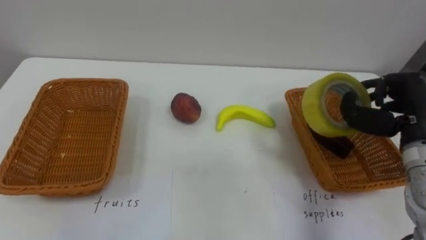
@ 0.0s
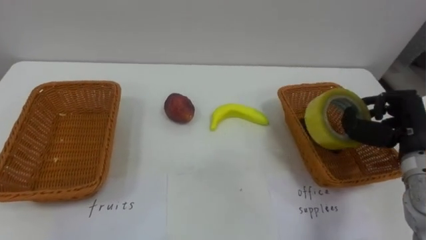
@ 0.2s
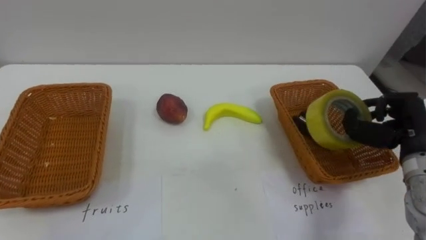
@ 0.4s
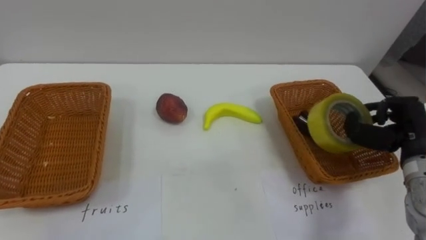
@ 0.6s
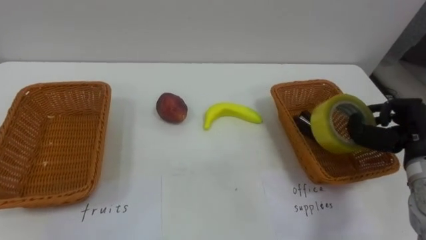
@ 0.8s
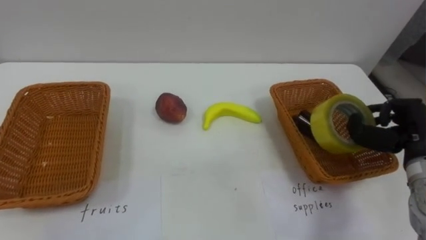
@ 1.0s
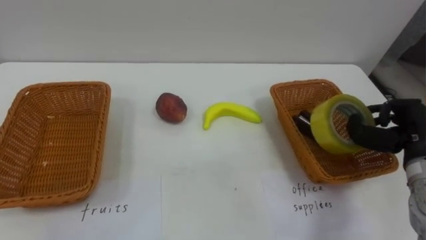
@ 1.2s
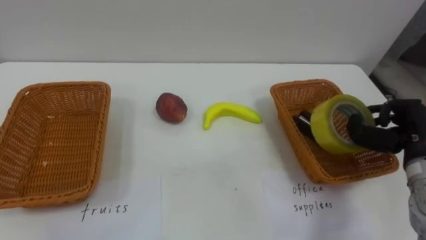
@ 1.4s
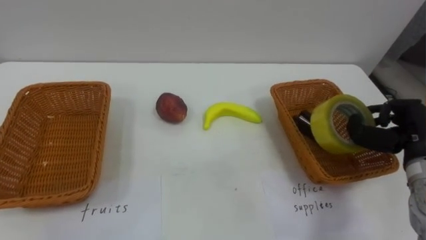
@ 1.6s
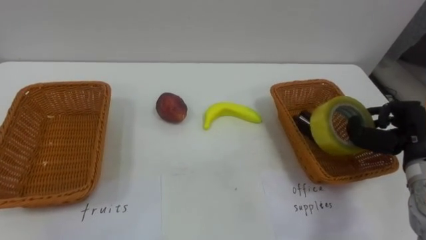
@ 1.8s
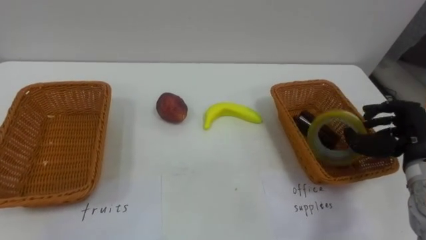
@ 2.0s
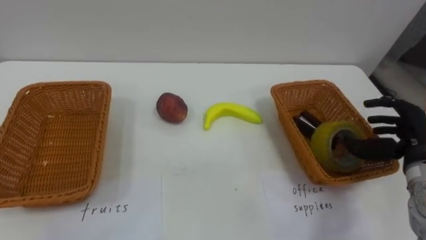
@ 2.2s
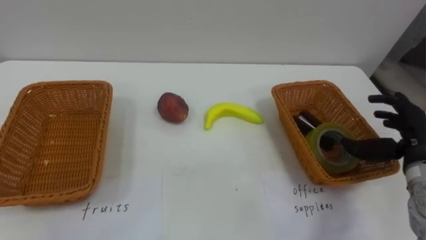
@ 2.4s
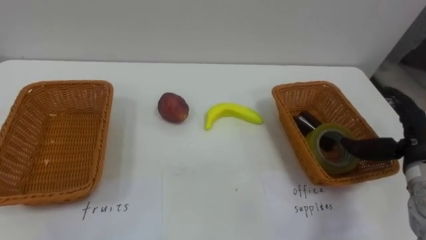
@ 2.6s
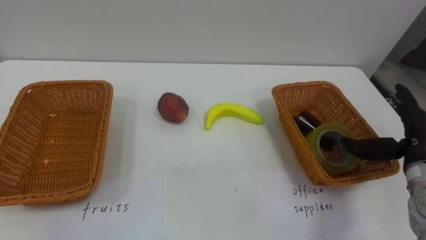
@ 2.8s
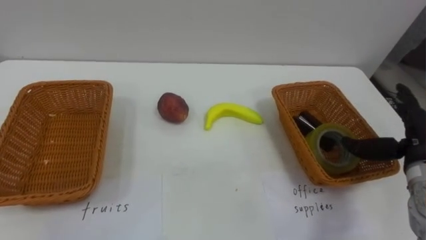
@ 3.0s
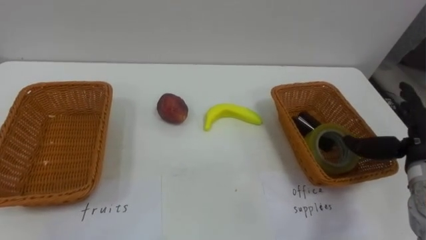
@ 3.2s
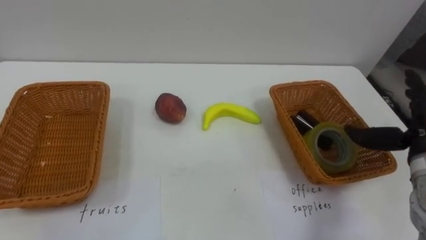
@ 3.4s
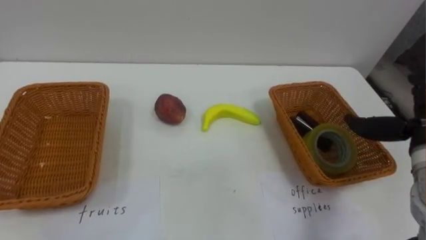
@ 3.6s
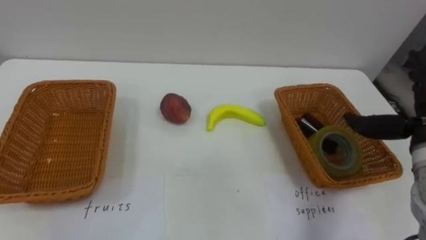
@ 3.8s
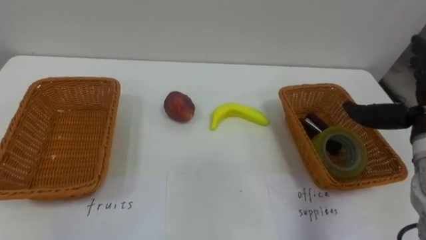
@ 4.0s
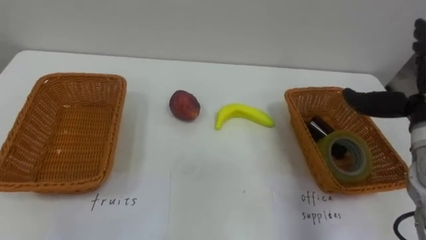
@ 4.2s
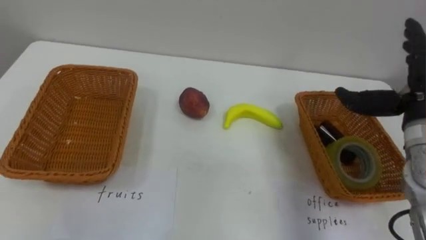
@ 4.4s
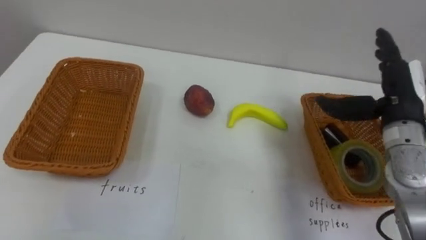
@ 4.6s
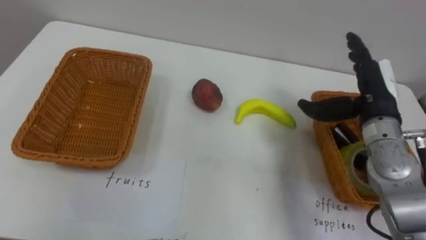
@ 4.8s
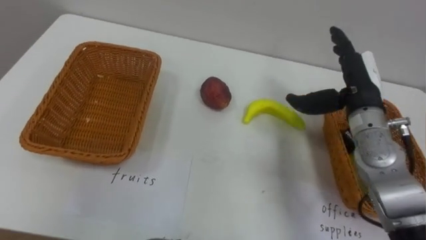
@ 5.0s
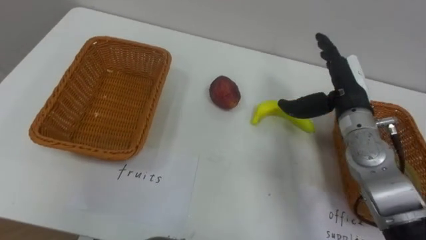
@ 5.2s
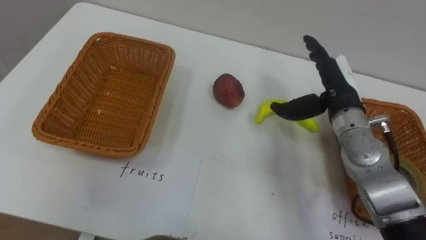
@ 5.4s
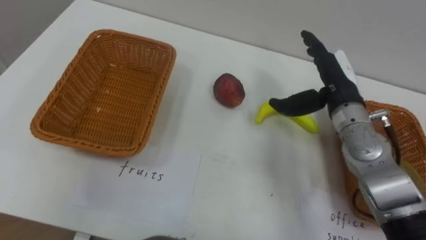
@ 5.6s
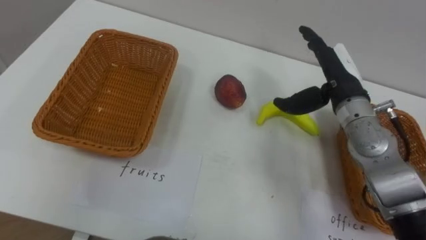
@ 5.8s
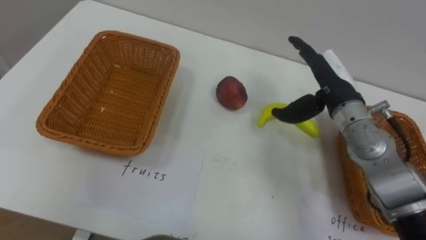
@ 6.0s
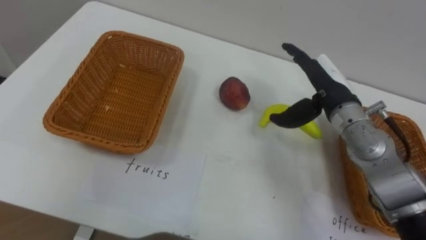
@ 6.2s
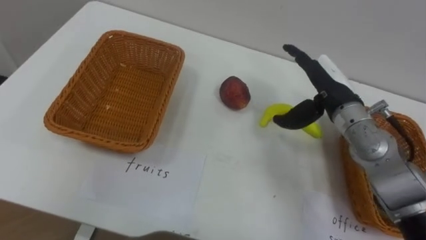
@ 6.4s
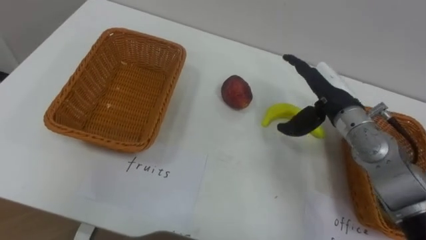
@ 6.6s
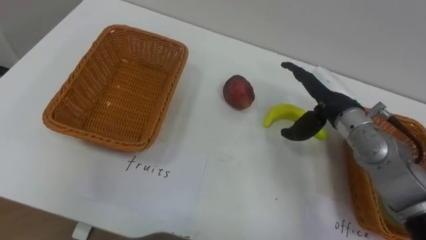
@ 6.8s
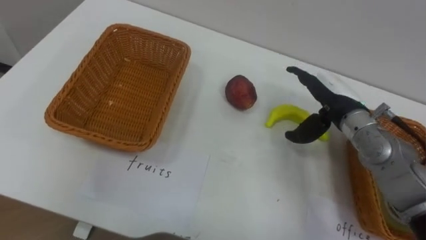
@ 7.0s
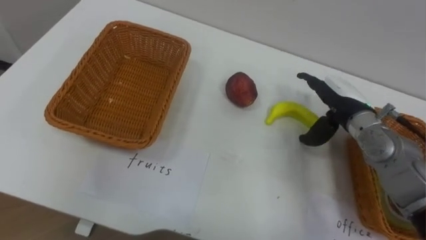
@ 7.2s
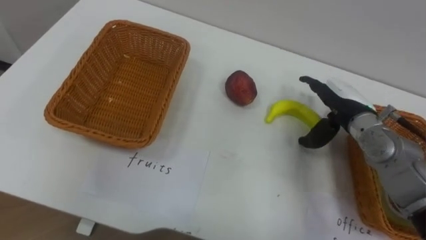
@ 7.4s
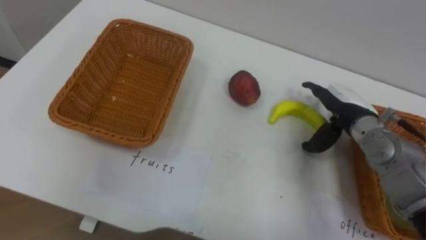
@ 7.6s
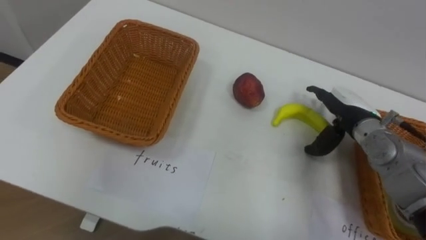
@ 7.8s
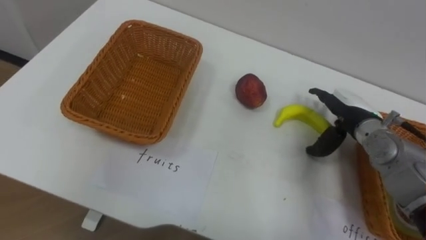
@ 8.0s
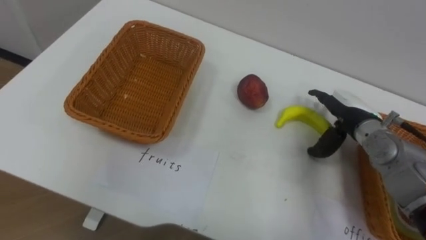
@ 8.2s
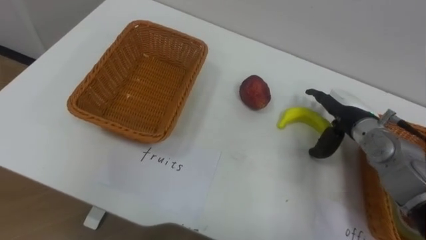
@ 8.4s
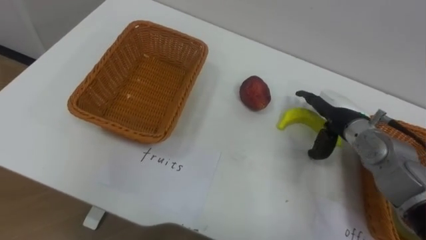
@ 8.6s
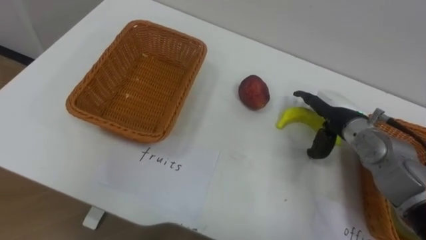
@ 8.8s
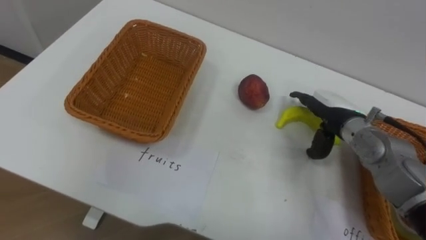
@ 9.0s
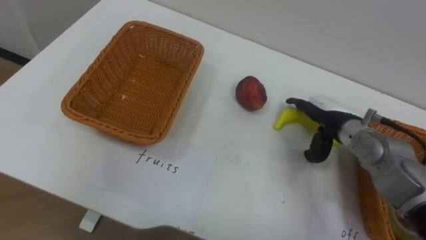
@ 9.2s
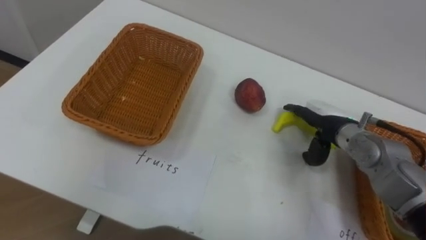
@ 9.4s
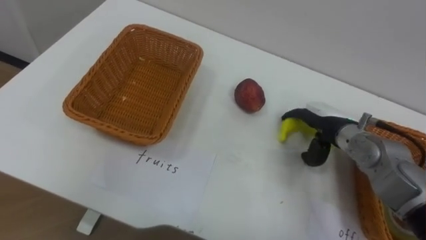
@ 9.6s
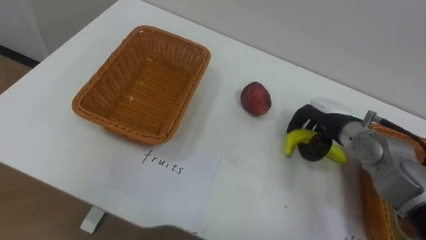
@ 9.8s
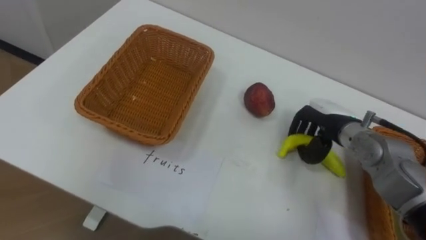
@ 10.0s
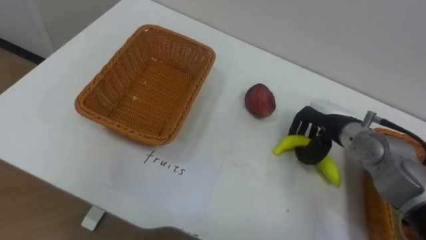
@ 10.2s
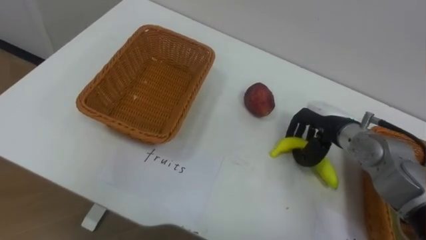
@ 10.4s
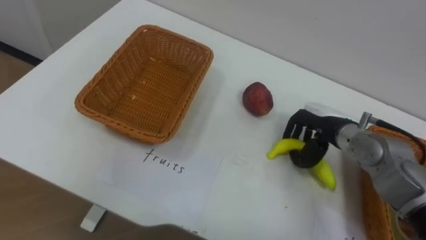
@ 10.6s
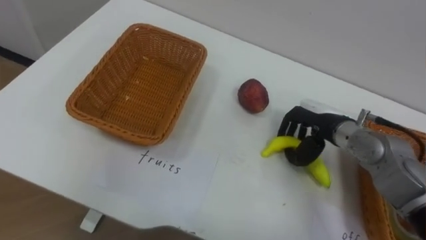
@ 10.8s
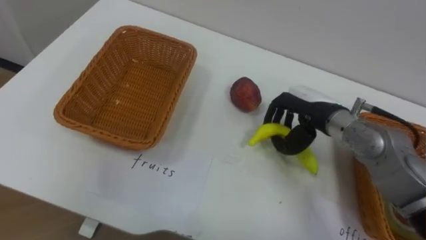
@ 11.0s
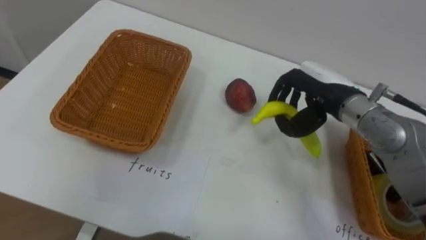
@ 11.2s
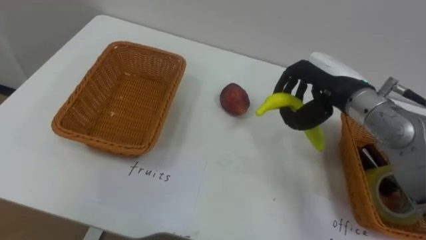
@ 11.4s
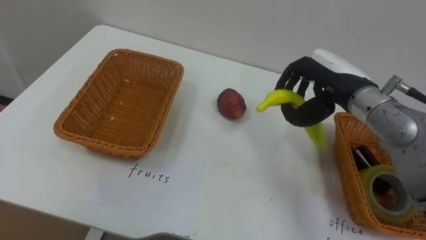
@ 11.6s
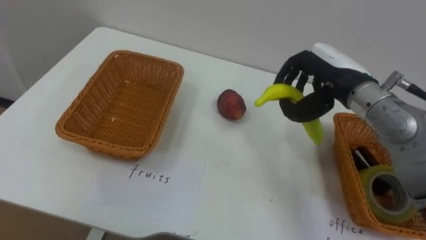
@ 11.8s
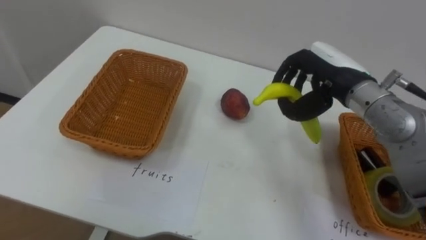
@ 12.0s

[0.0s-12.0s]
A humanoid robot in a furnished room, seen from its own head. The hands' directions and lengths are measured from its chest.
Task of the whole recording: Separate the items on the table and place them into the two baskets.
0.0s to 1.6s: The right hand shifts by roughly 5 cm.
1.6s to 3.0s: The right hand opens.
3.0s to 4.4s: The right hand moves upward, roughly 10 cm.
4.4s to 6.0s: The right hand shifts about 15 cm to the left and forward.
6.0s to 7.6s: The right hand goes some 5 cm downward.
9.0s to 10.4s: The right hand closes.
10.4s to 12.0s: The right hand shifts about 10 cm upward.

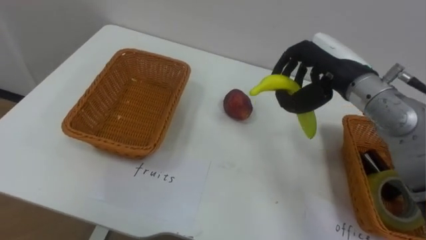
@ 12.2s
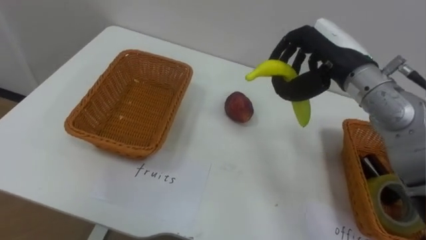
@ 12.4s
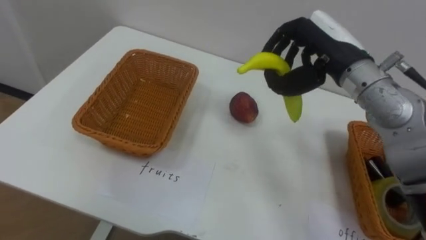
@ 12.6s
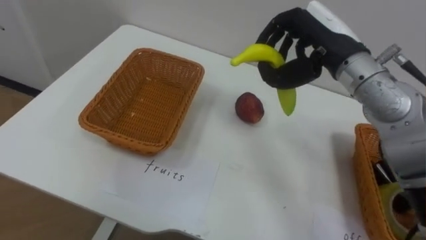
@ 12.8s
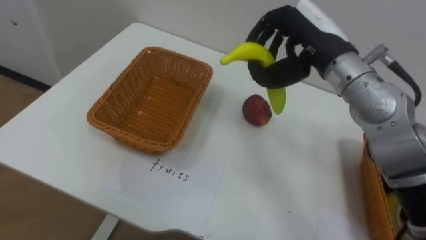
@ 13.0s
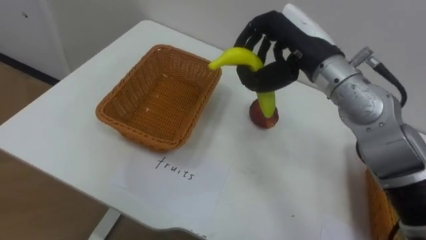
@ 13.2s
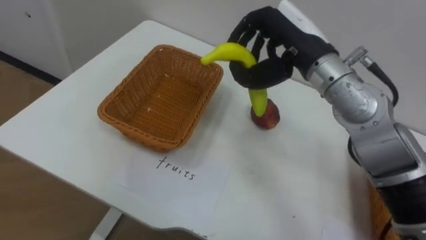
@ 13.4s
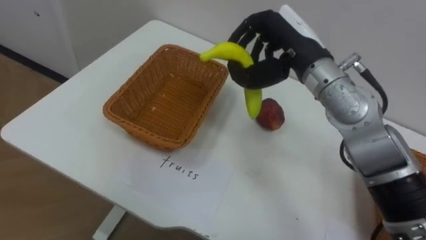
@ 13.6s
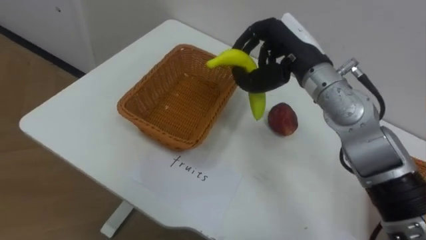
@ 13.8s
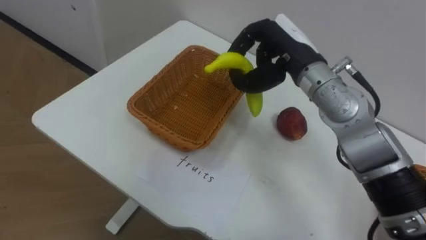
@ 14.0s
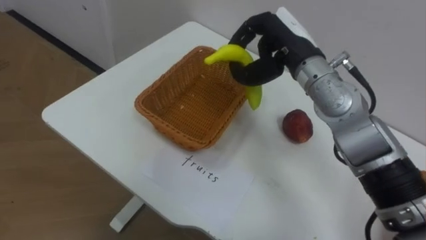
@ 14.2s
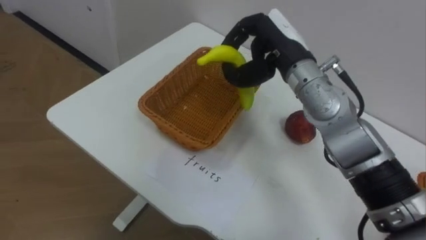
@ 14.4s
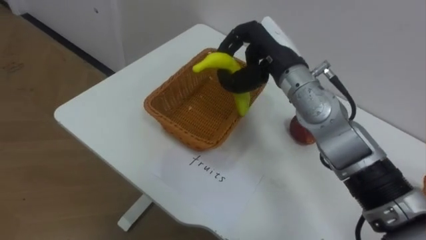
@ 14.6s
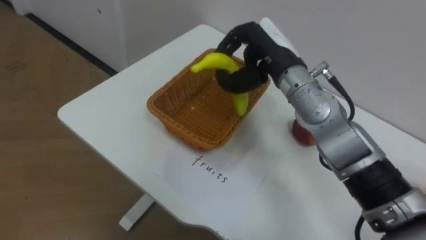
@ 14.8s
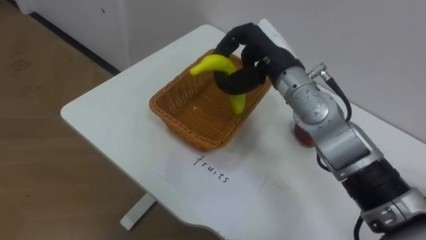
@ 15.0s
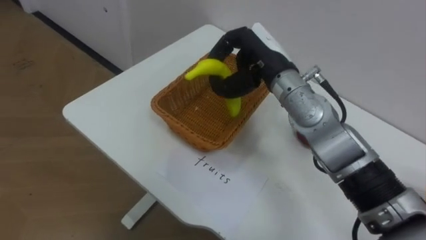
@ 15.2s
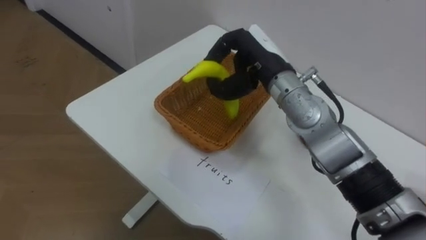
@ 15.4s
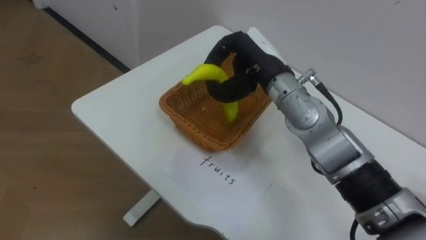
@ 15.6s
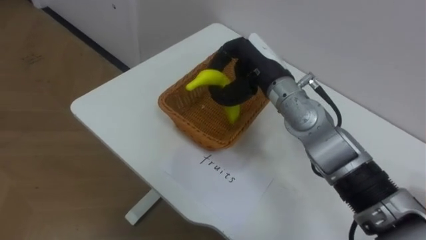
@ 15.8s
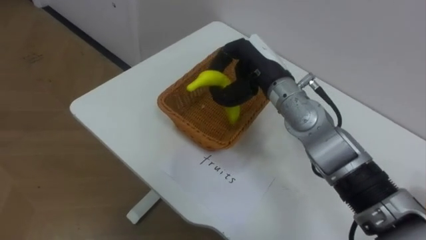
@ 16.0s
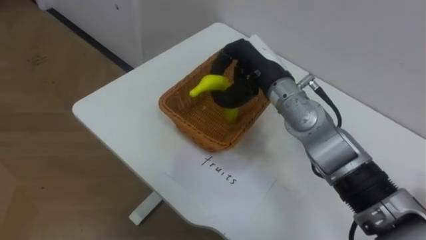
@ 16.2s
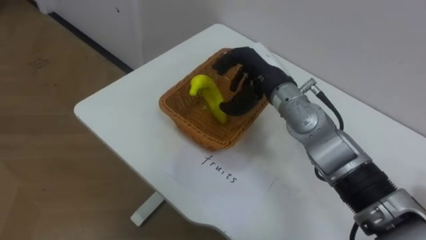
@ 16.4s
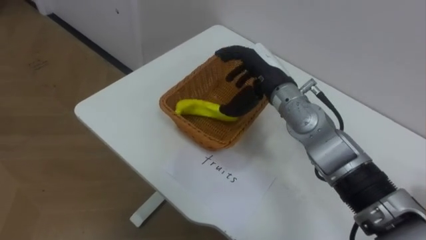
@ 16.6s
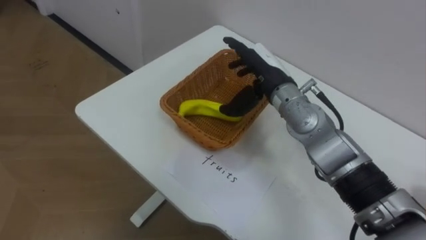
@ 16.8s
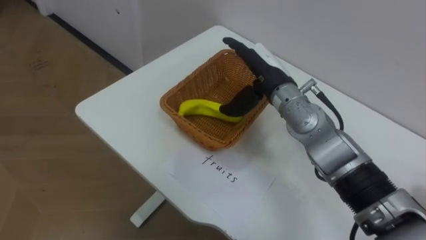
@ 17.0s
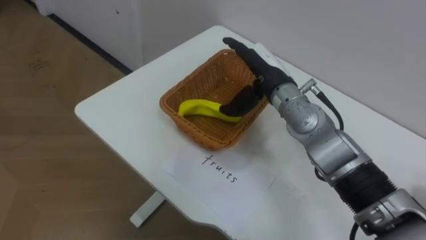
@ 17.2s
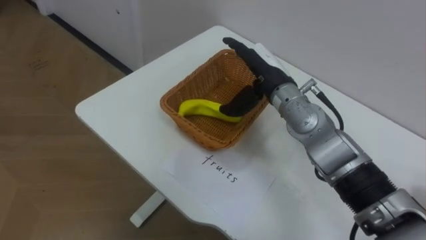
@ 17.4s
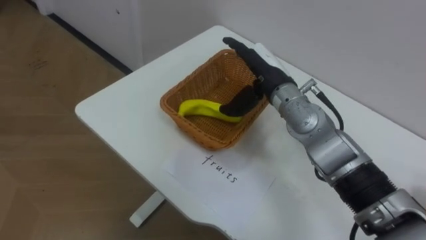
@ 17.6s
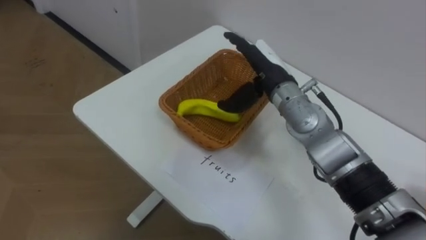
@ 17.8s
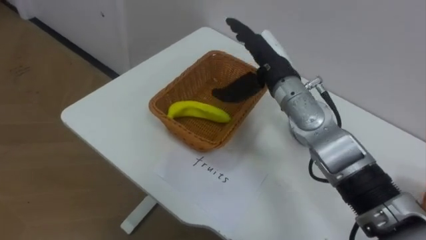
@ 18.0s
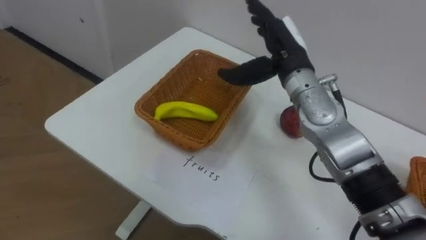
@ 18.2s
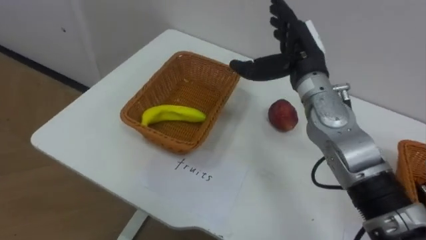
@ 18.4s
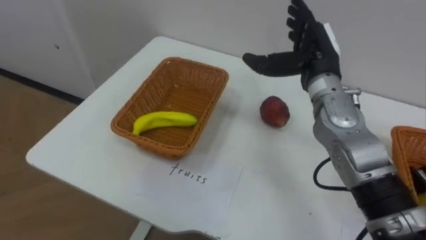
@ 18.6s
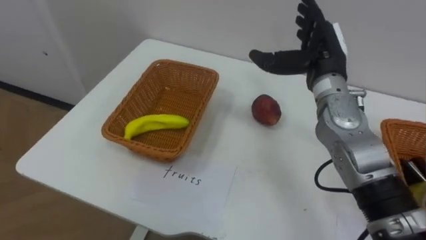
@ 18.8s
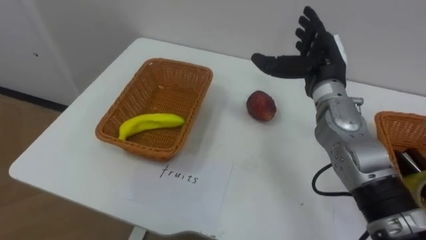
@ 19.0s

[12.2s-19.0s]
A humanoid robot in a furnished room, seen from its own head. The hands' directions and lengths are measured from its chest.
Task of the whole recording: Separate the items on the table and place them into the two baskets.
12.2s to 13.6s: The right hand travels to the left by approximately 5 cm.
16.2s to 17.6s: The right hand opens.
17.6s to 19.0s: The right hand shifts some 10 cm to the right.
